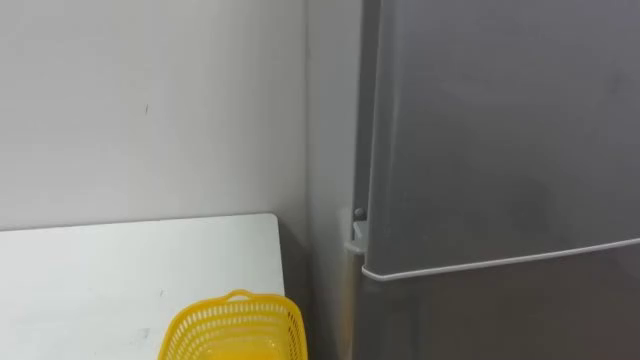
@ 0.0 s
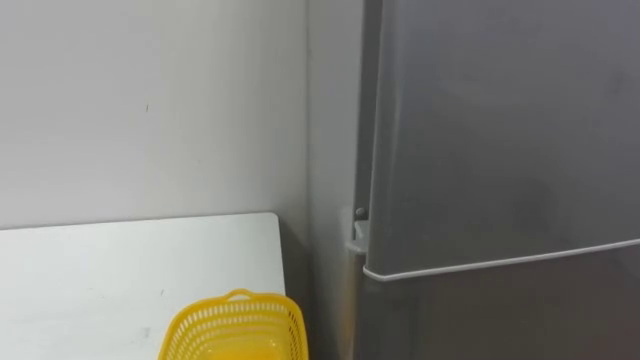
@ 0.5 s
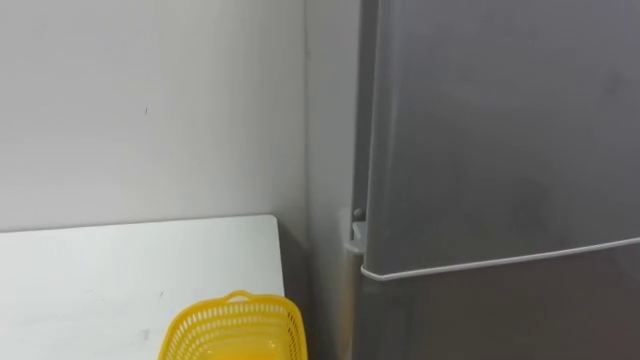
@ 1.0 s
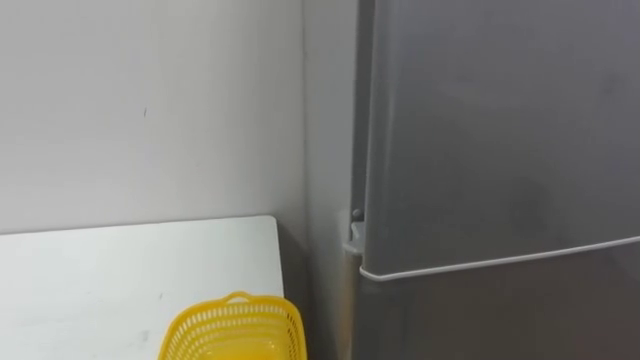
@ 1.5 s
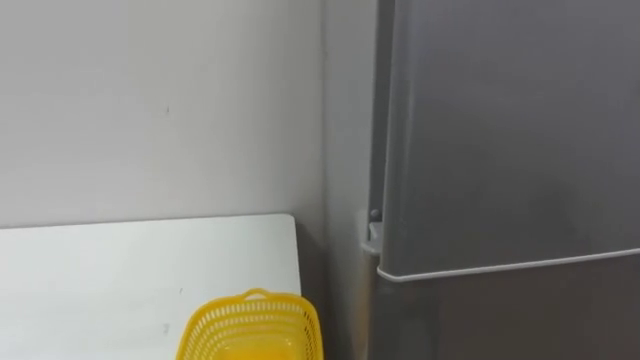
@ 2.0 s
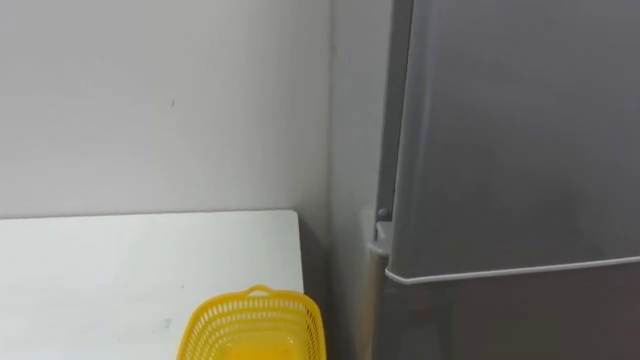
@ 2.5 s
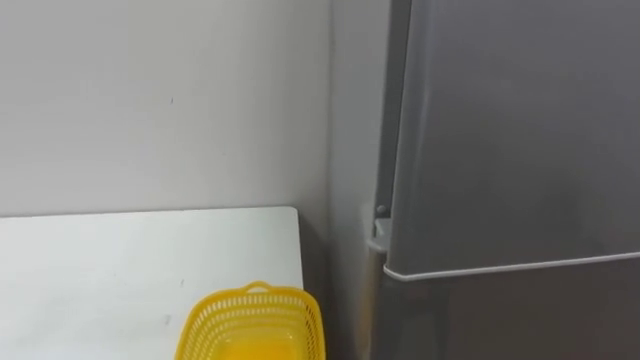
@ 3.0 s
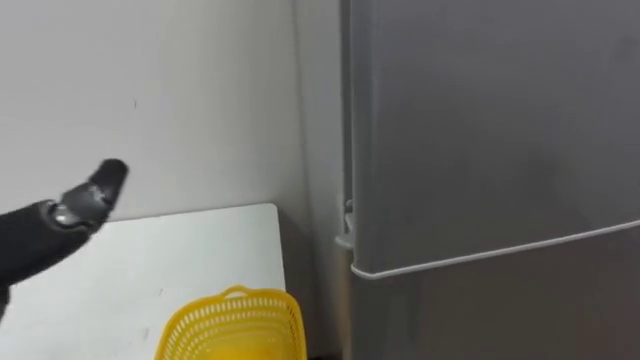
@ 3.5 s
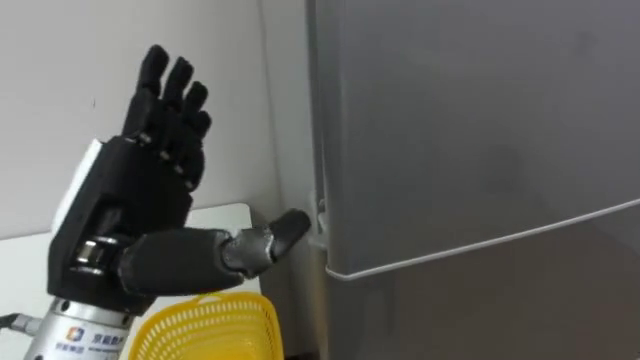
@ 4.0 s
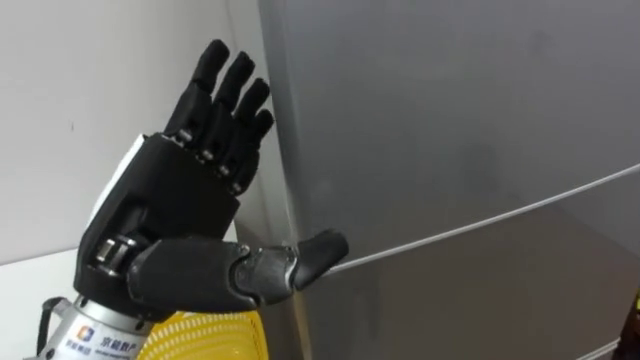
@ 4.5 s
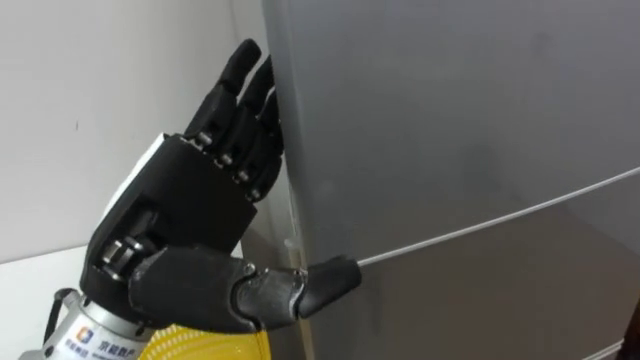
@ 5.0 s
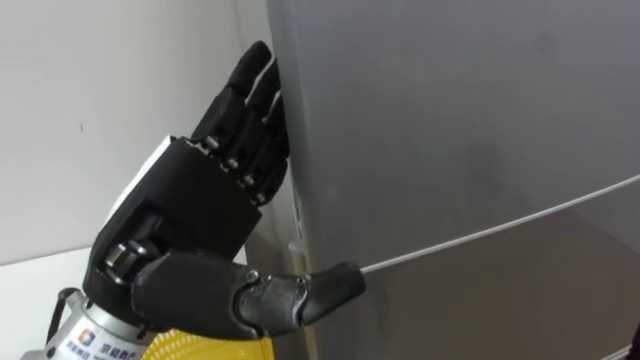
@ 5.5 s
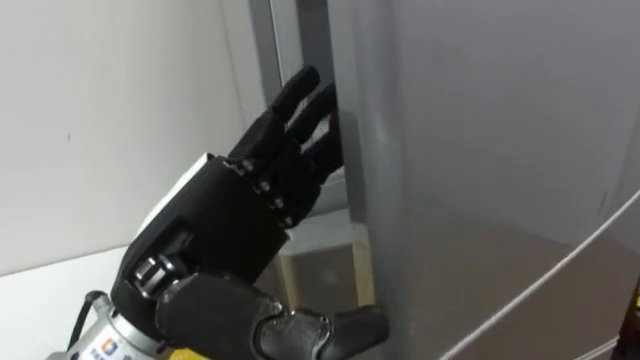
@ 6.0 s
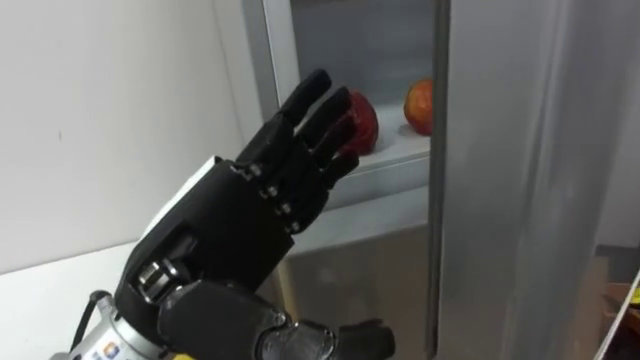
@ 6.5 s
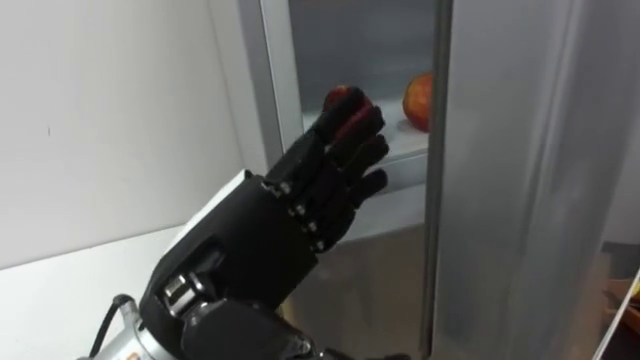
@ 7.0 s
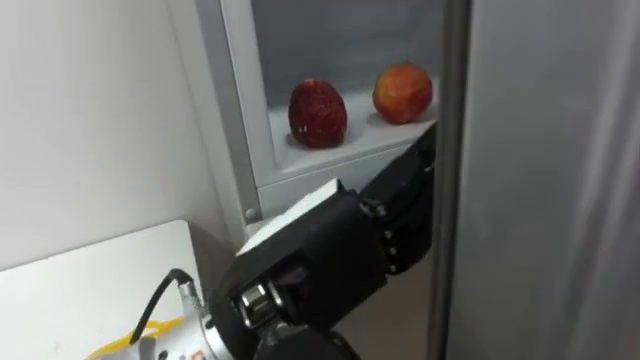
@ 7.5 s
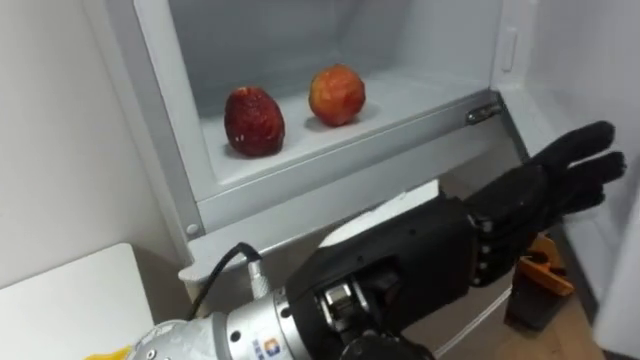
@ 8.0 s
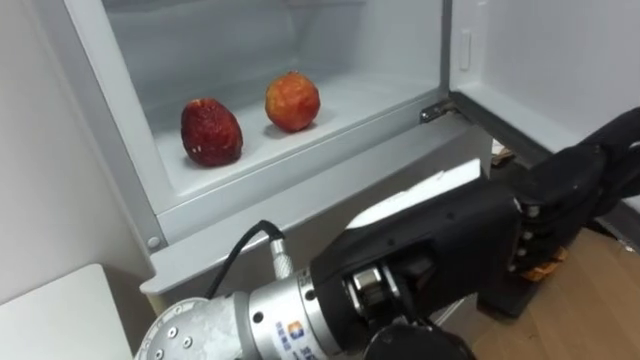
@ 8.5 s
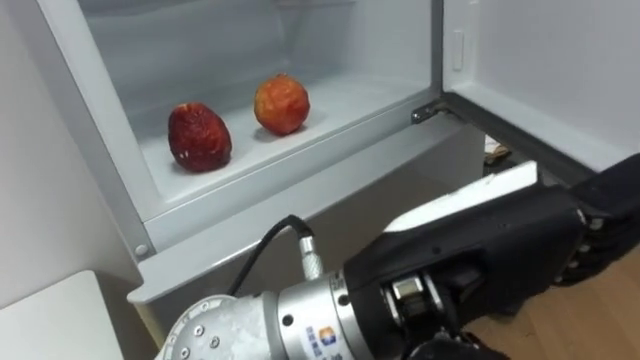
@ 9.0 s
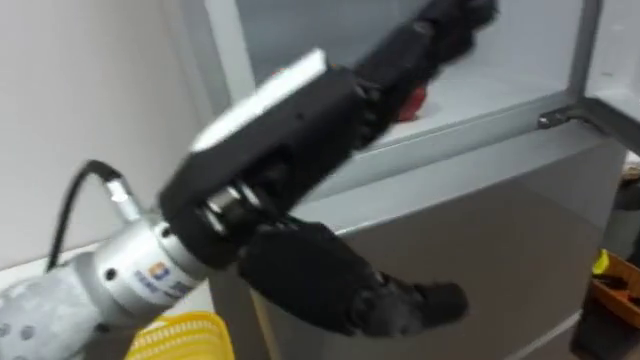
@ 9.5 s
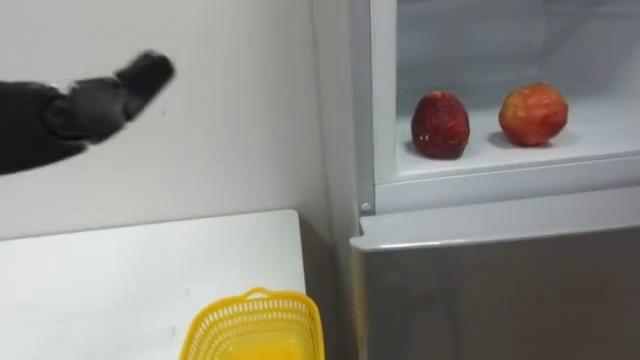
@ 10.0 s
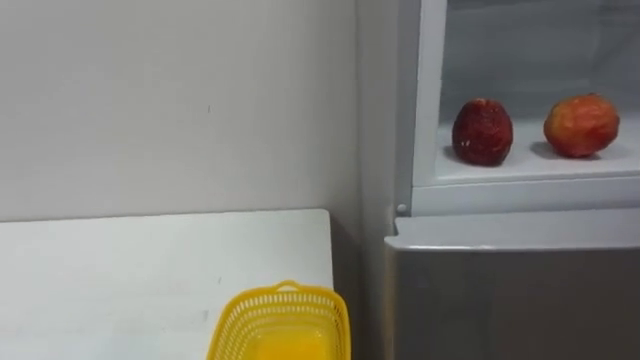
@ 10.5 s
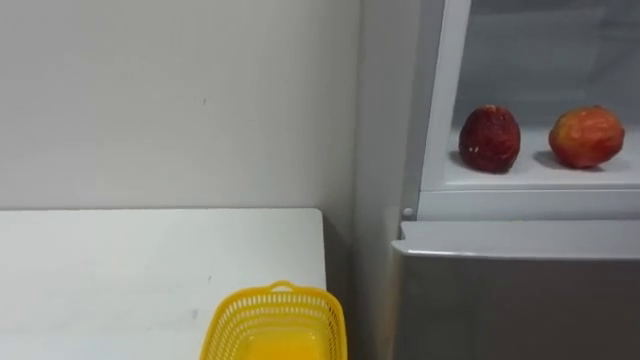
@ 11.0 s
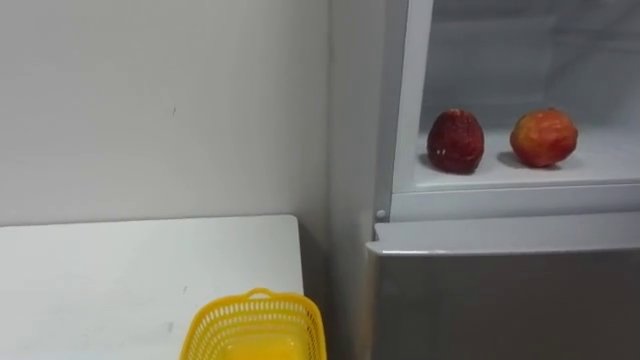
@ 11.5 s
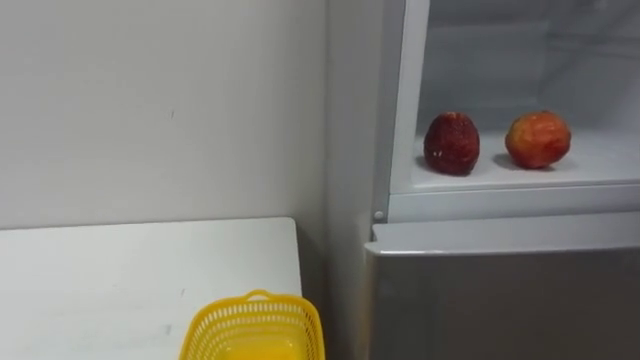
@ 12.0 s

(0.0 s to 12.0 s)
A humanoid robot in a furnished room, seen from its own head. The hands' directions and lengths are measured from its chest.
Task of the whole recording: Open the refrigerator door, take out the apple and the pomegranate, place them in the fruit basket on the left, and close the refrigerator door.
4.0 s - 6.0 s: The left hand is displaced to the right by roughly 5 cm.
6.0 s - 8.0 s: The left hand travels to the right by about 10 cm.

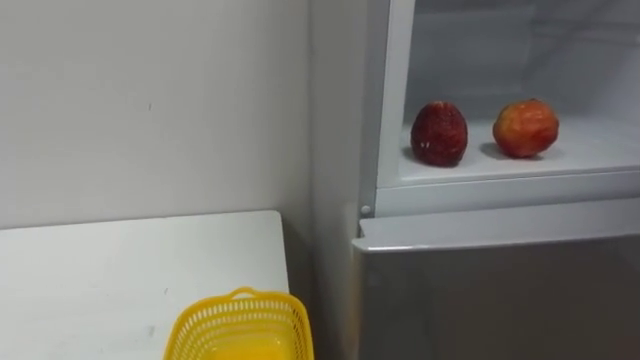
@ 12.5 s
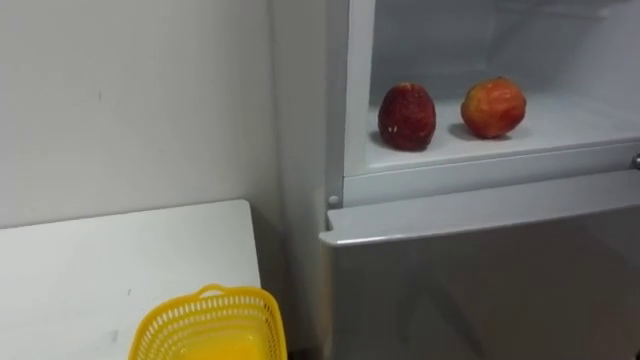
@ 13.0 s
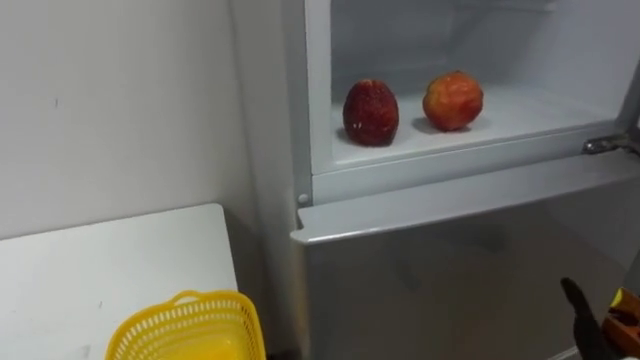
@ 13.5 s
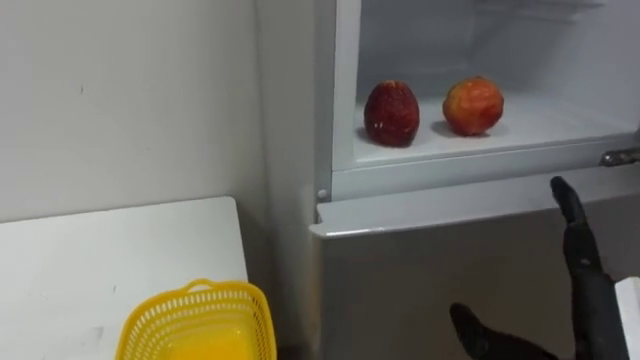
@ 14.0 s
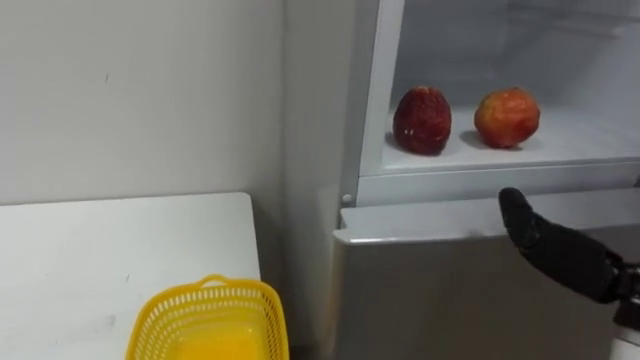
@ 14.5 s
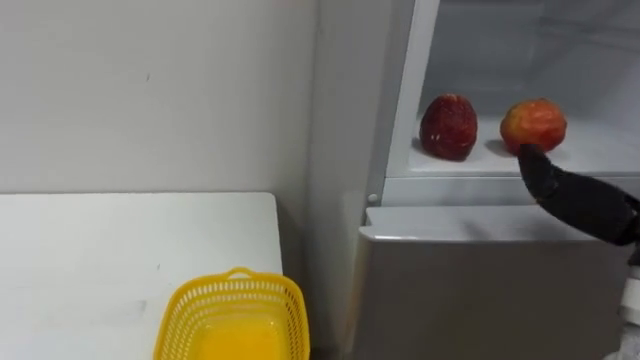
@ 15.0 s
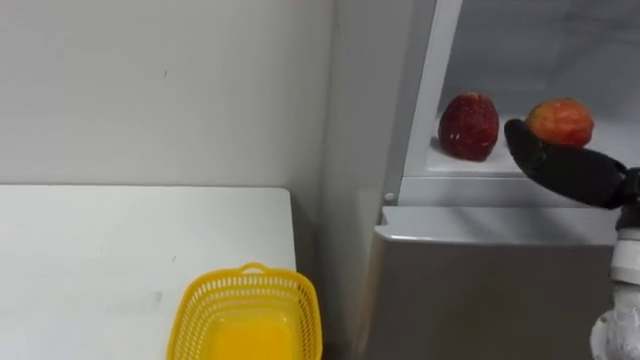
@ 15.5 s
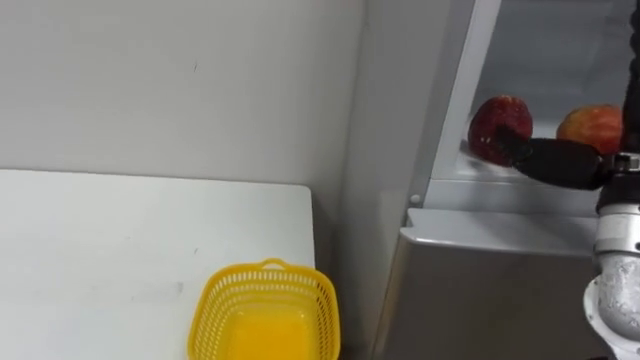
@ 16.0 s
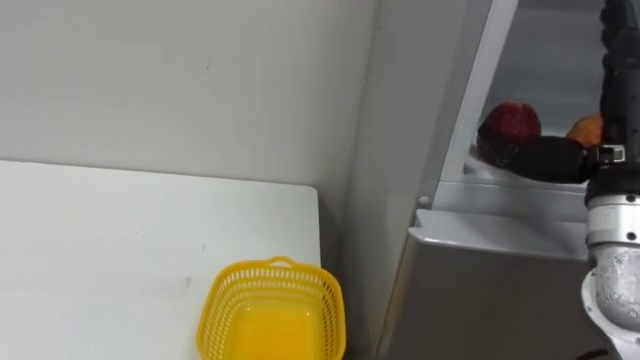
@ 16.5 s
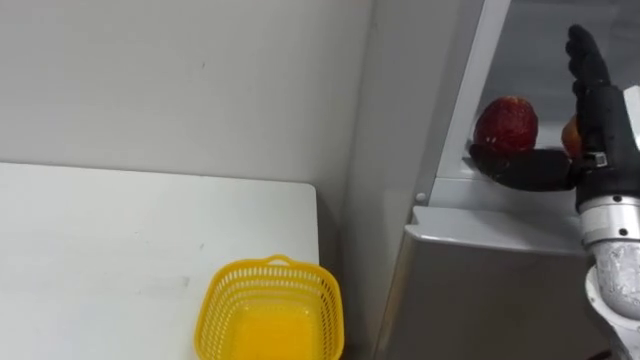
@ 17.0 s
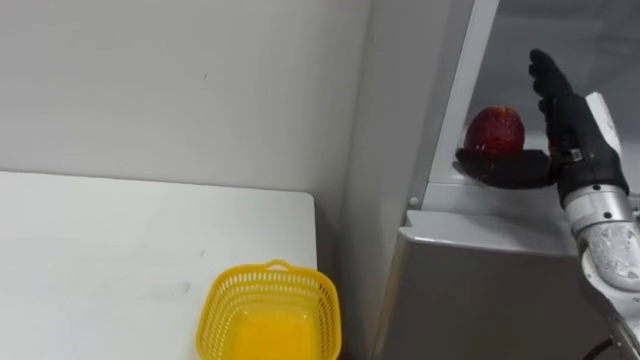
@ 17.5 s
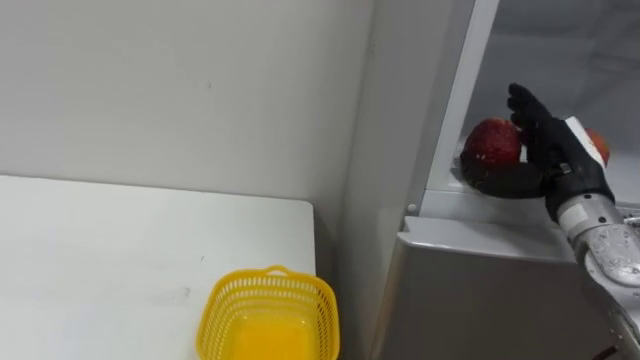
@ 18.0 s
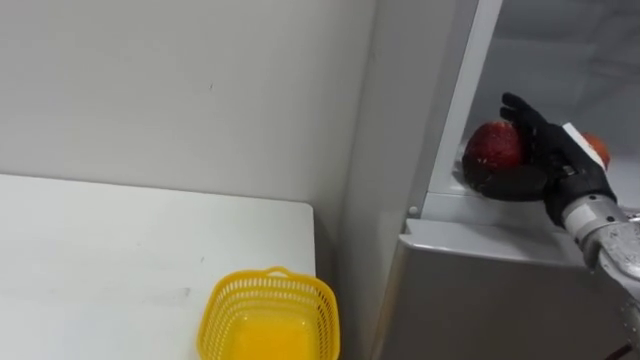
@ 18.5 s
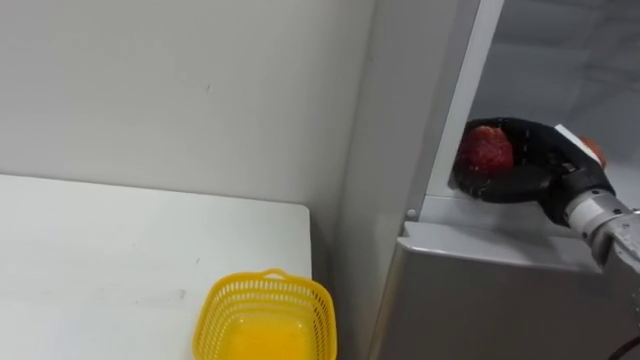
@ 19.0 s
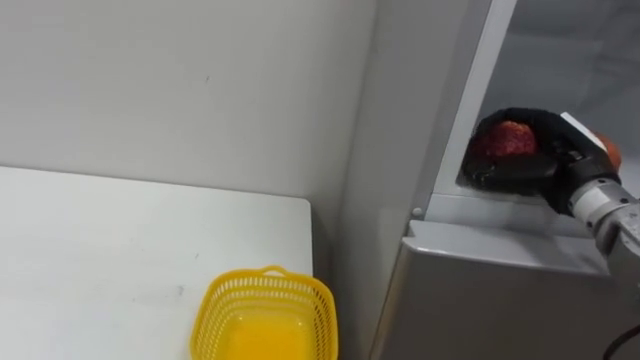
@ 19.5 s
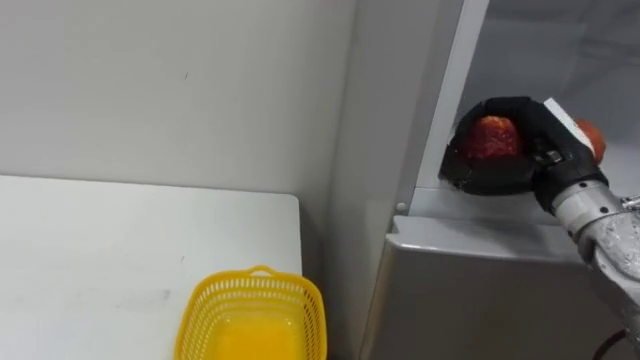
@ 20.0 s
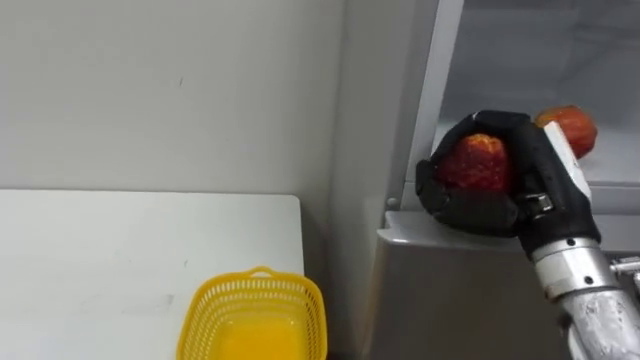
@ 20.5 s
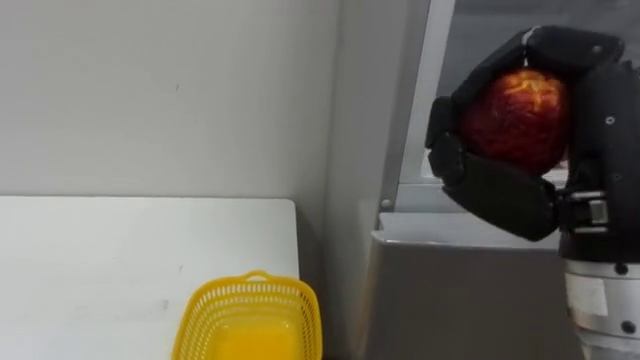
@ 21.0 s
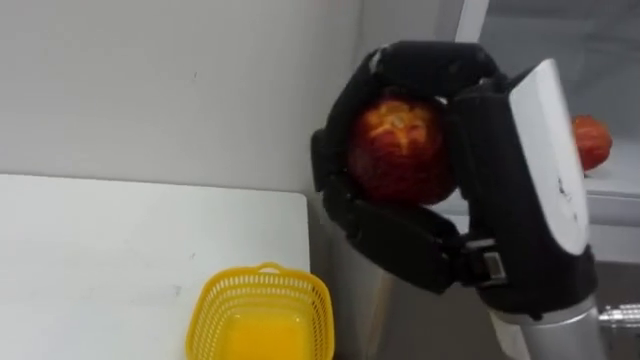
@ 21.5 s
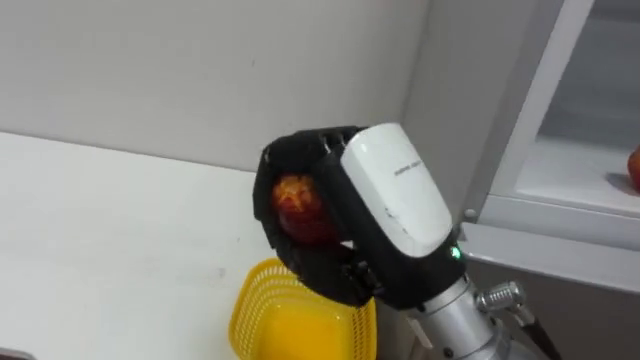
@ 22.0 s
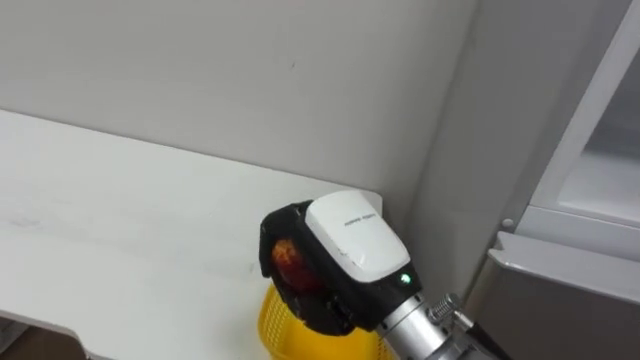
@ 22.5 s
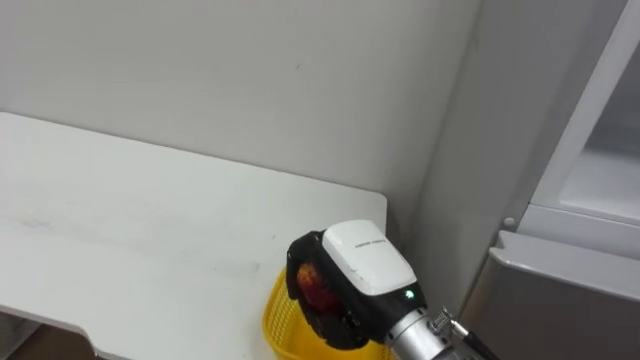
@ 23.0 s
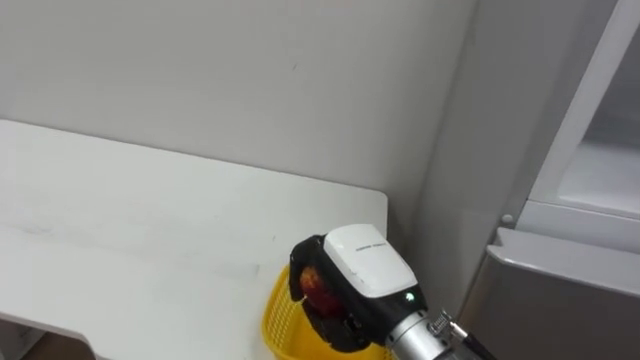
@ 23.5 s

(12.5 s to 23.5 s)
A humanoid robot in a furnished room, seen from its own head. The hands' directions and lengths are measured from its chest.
Task of the whole recording: Open the refrigerator door, take out the apple and the pomegranate, place them in the fruit basket on the left, and close the refrigerator door.
16.0 s - 18.0 s: The right hand travels forward and downward by roughly 10 cm.
18.0 s - 20.0 s: The right hand closes up.
20.0 s - 21.5 s: The right hand moves backward, to the left and upward, roughly 25 cm.
21.5 s - 23.5 s: The right hand moves downward and forward, some 20 cm.
